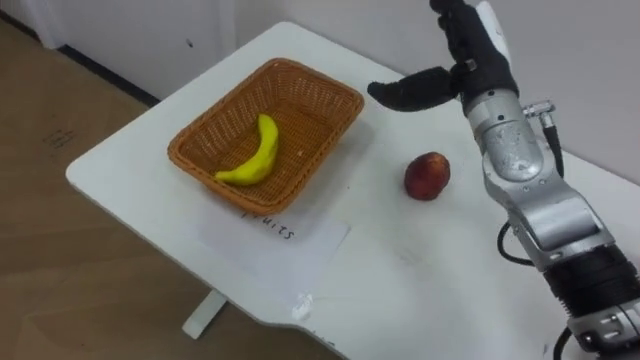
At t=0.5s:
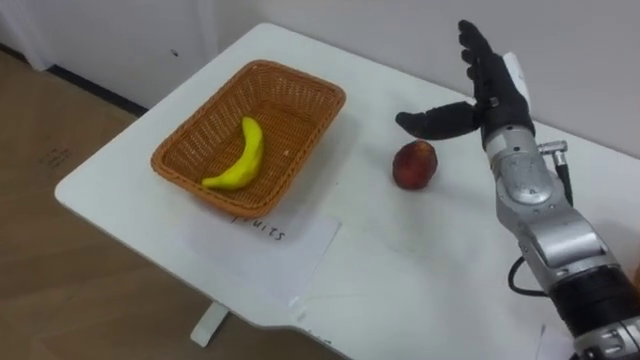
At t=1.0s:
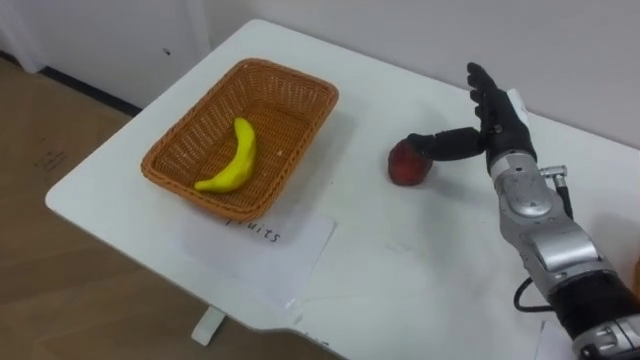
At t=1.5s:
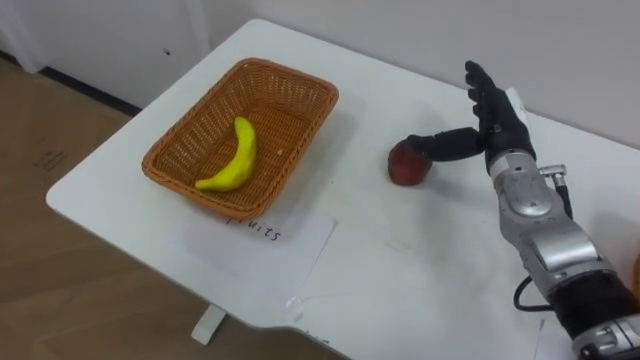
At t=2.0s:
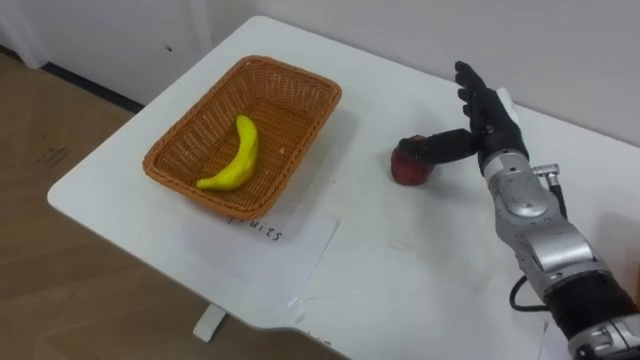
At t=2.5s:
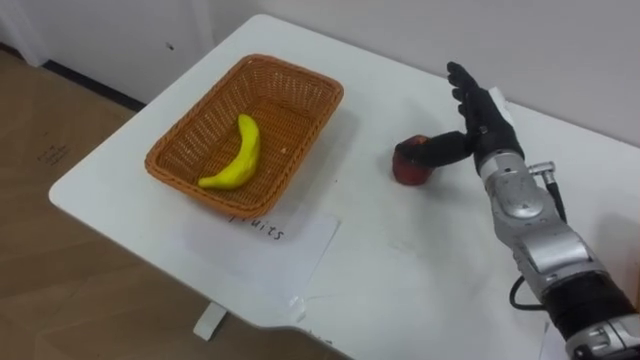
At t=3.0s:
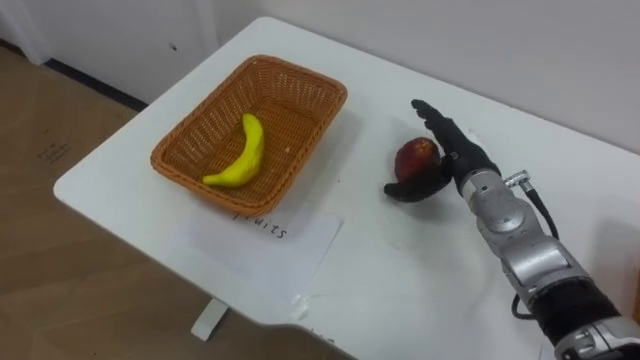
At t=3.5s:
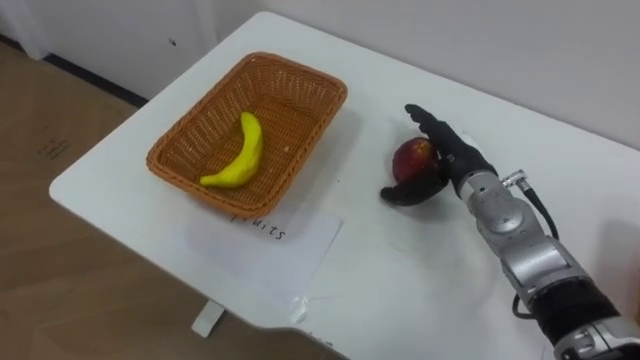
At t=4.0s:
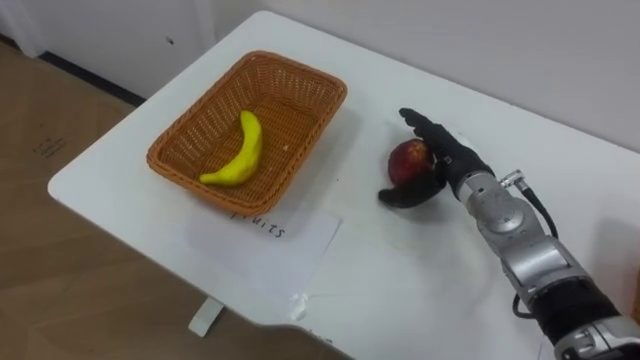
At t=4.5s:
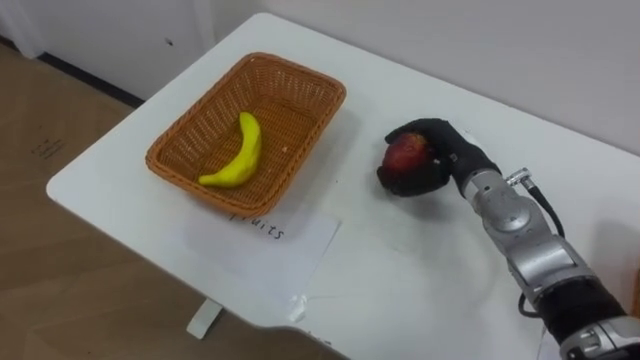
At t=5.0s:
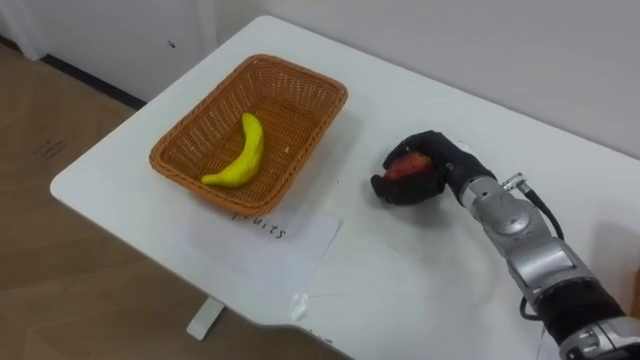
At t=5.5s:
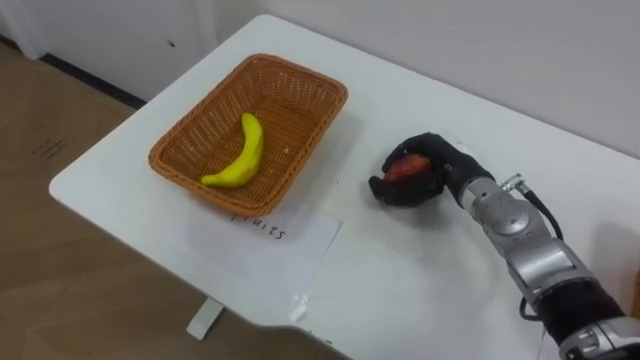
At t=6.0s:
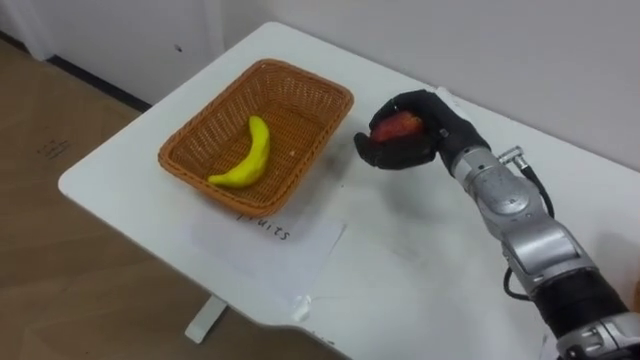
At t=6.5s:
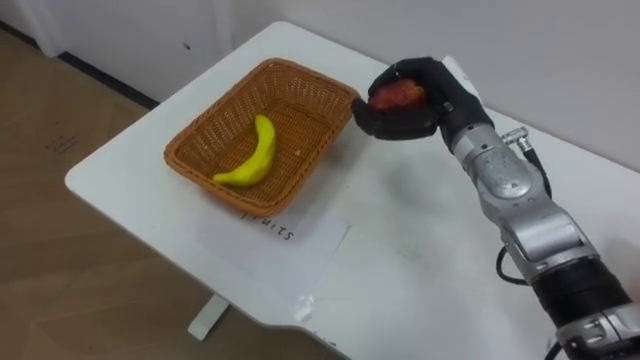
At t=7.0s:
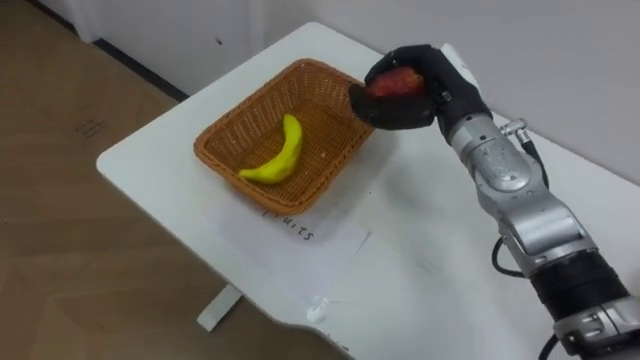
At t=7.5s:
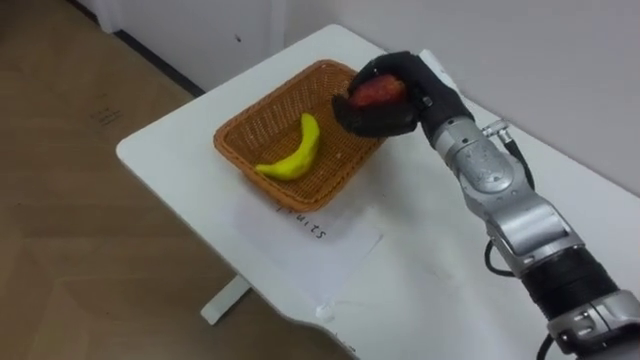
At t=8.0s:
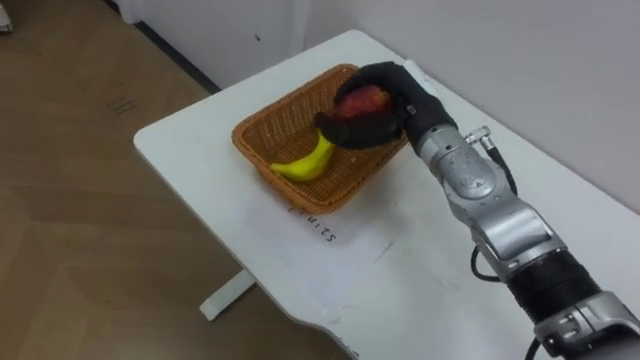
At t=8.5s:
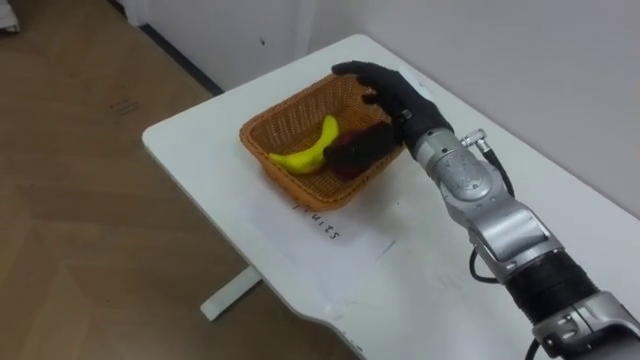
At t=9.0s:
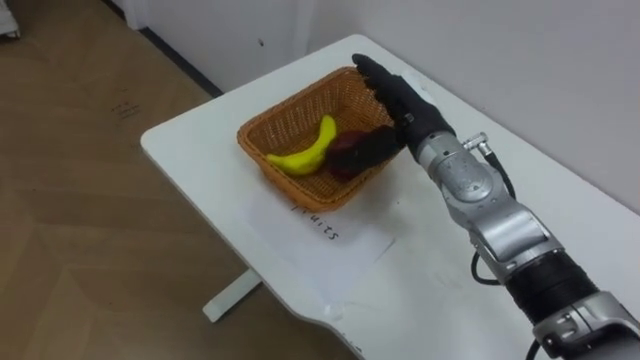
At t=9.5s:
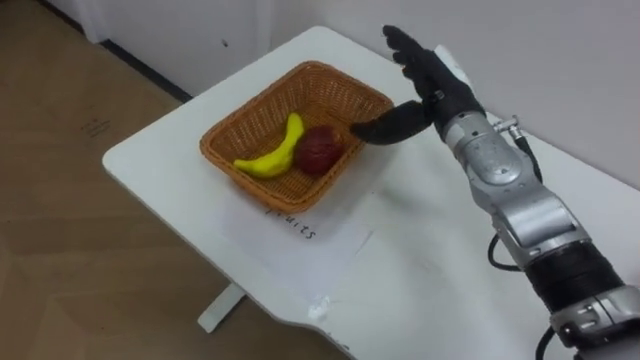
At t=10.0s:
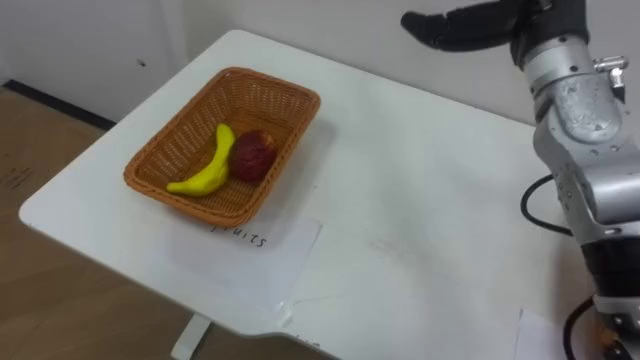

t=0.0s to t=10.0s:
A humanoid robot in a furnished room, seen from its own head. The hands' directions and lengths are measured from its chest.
Task of the whole recording: Separate the items on the table and place them into the two baskets.
t=0.0s to t=2.0s: The right hand moves downward, approximately 10 cm.
t=2.0s to t=4.0s: The right hand changes place by some 5 cm.
t=4.0s to t=6.0s: The right hand moves about 5 cm, and closes up.
t=6.0s to t=8.0s: The right hand ends up roughly 5 cm from where it was.
t=8.0s to t=10.0s: The right hand goes some 15 cm upward and to the right, and opens.

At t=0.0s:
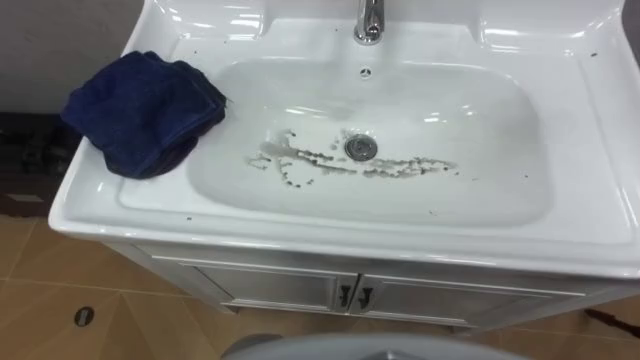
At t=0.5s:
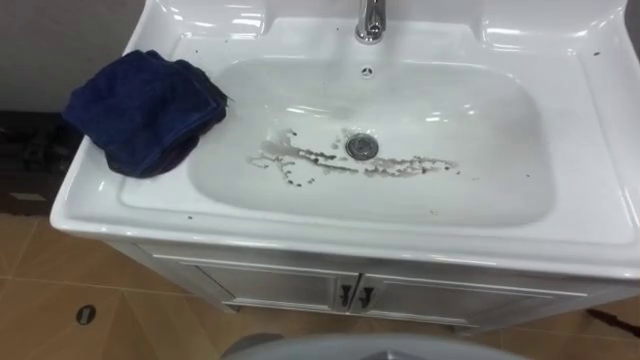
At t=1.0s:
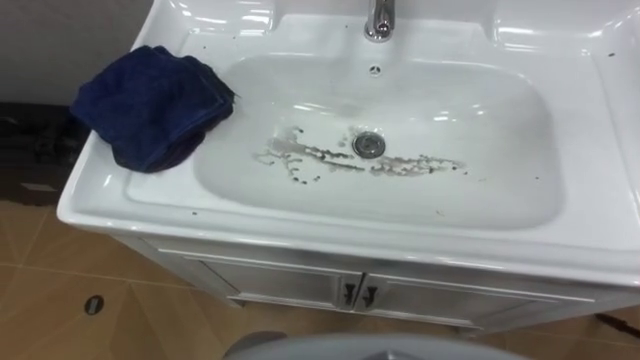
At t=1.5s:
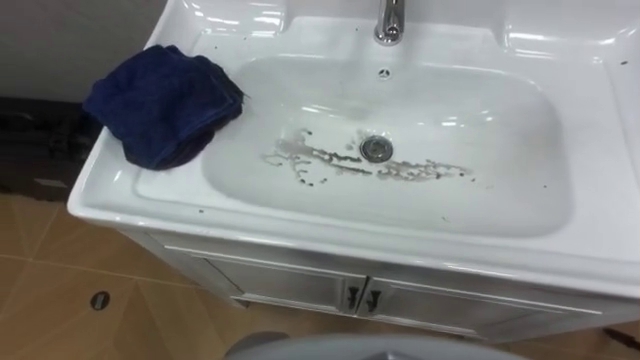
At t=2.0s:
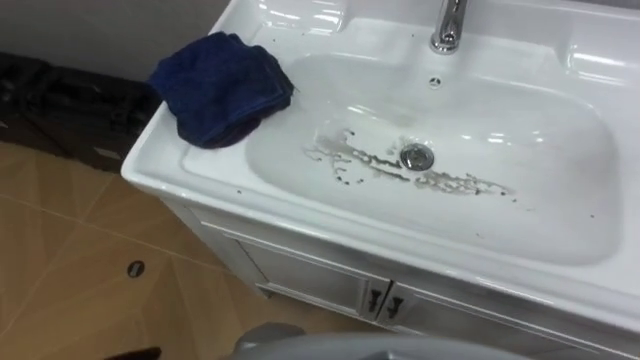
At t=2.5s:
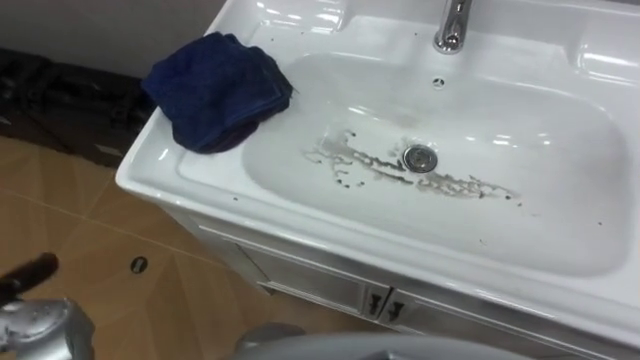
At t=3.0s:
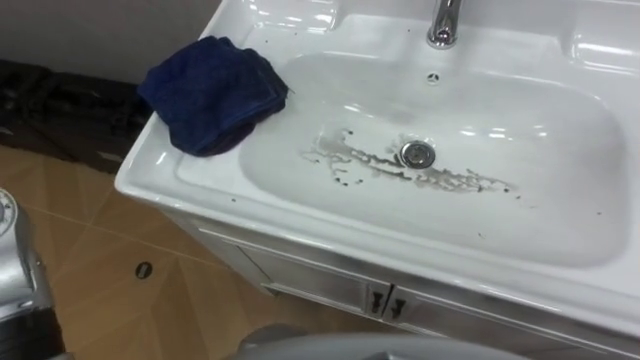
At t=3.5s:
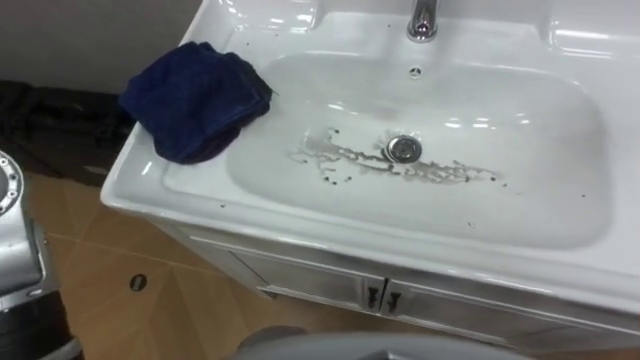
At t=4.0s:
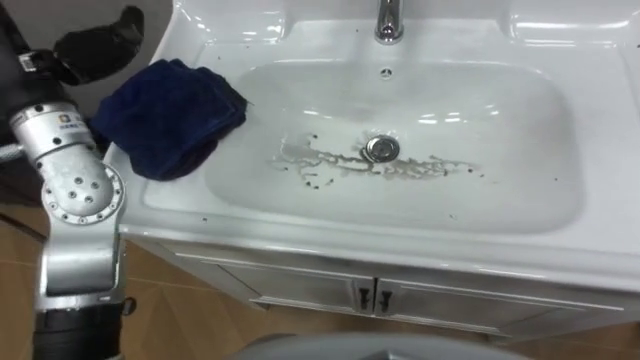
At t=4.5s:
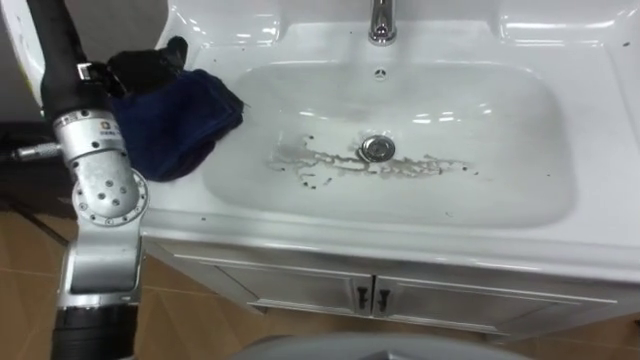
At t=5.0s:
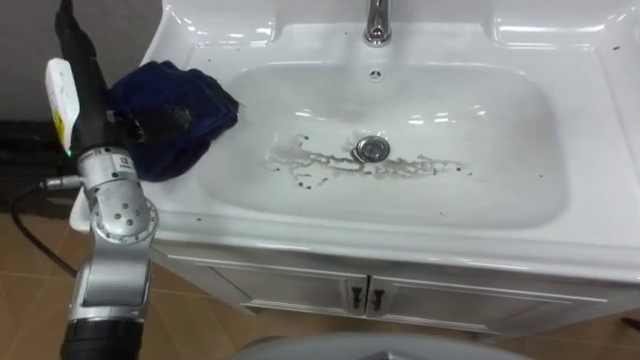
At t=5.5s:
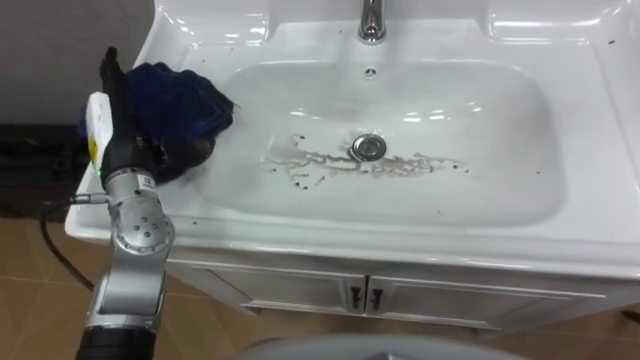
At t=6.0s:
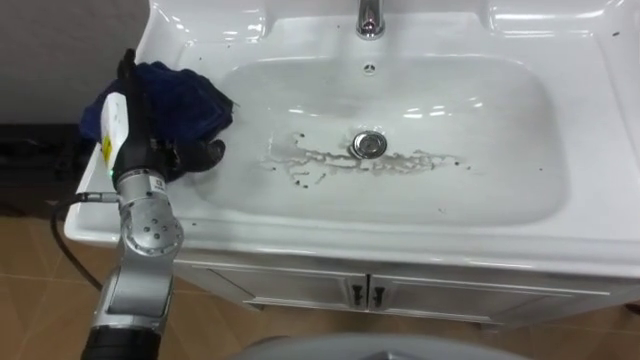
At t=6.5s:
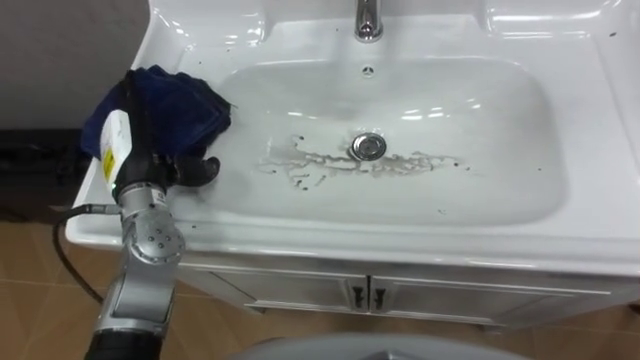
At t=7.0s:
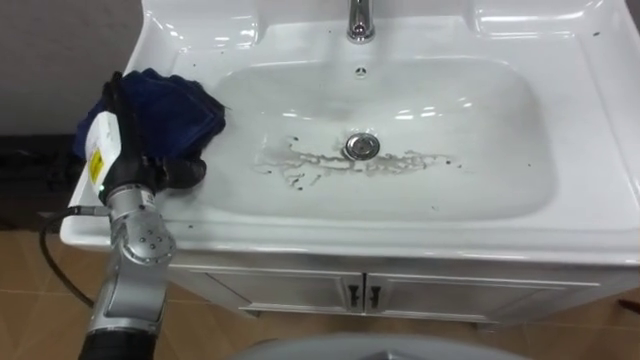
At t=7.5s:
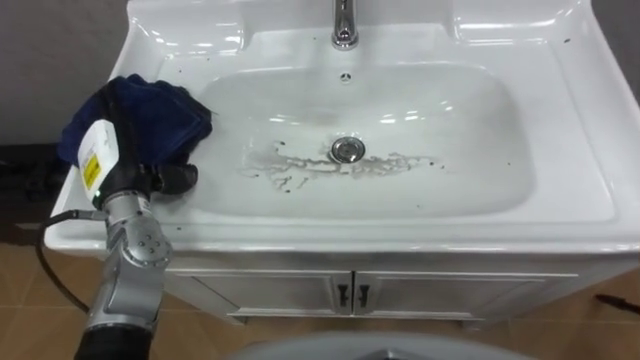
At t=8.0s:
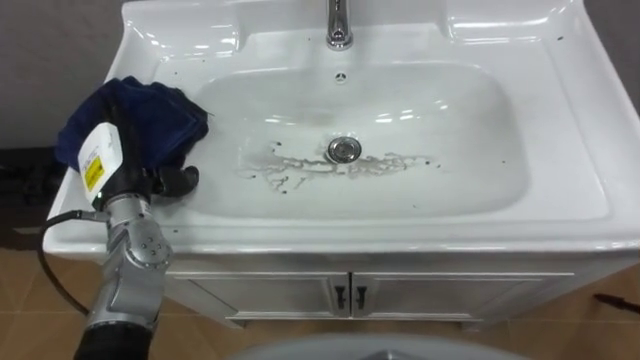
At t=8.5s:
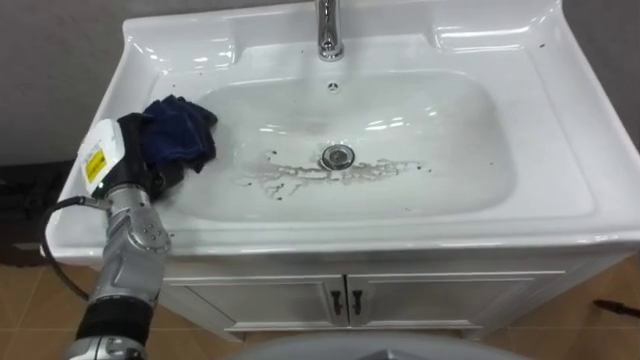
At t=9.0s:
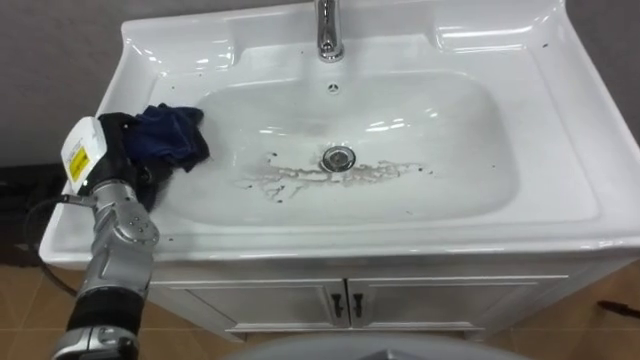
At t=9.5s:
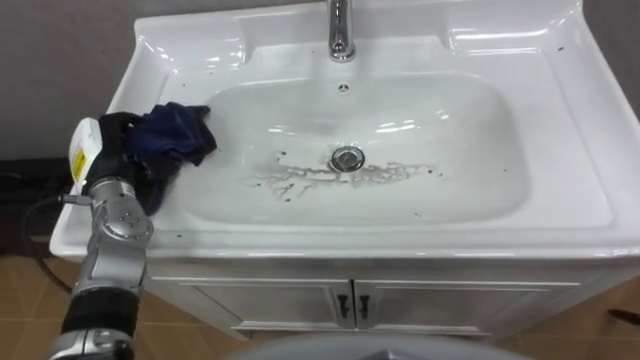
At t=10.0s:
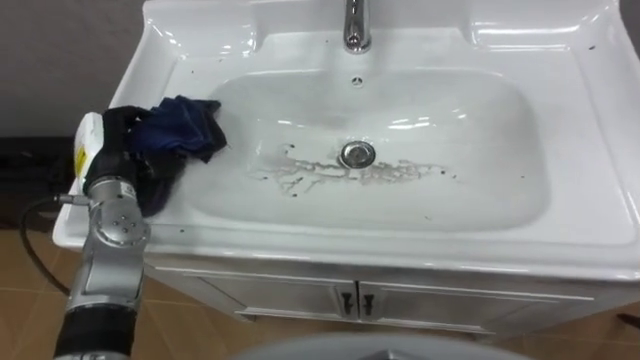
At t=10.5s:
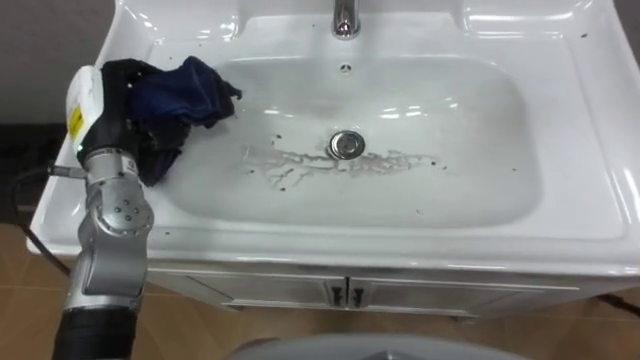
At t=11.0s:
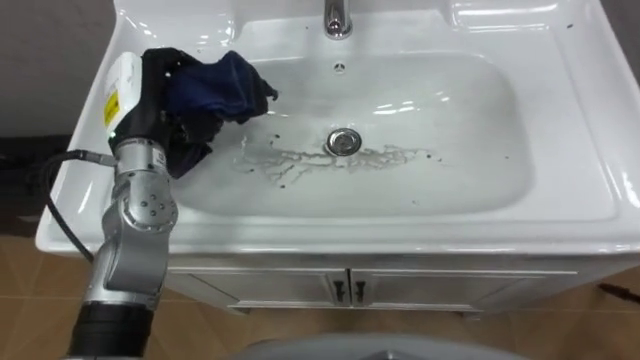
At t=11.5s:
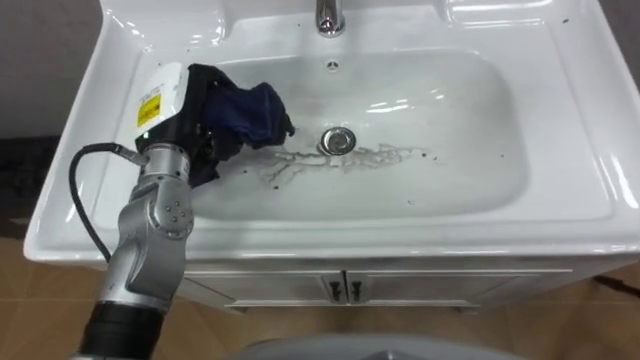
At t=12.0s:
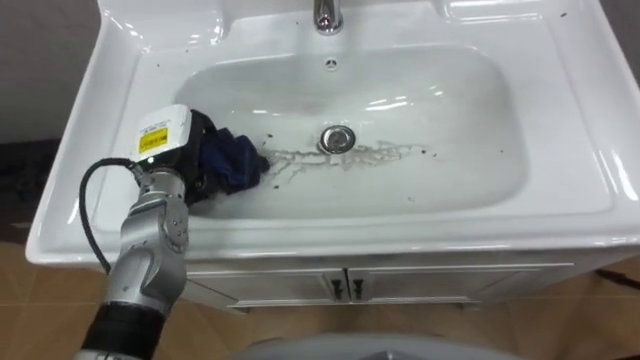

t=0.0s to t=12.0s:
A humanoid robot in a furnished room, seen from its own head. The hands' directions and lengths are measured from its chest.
Task of the whole recording: Use the cloth on the right to wipe away the black stain in the sink.
t=6.0s to t=8.0s: The left hand ends up approximately 5 cm from where it was.
t=8.0s to t=10.0s: The left hand closes up.
t=10.0s to t=12.0s: The left hand shifts roughly 5 cm to the right.
